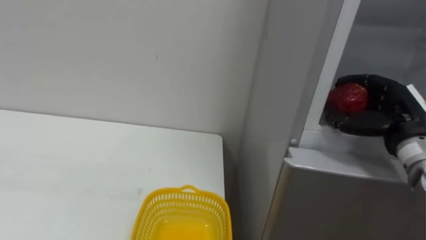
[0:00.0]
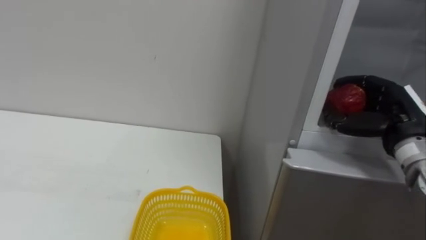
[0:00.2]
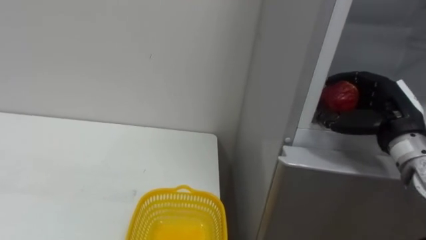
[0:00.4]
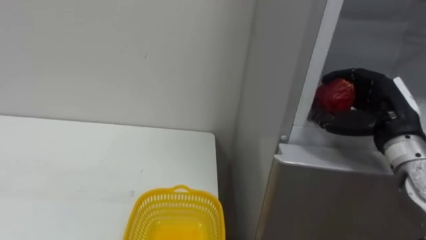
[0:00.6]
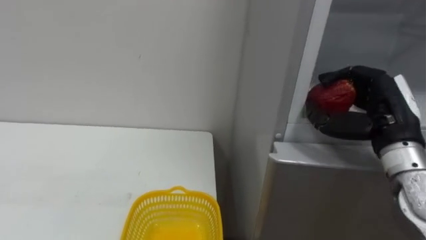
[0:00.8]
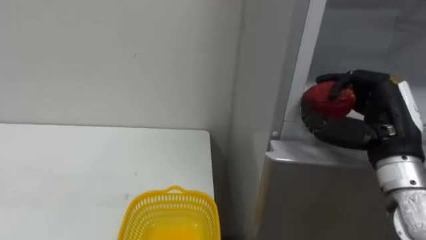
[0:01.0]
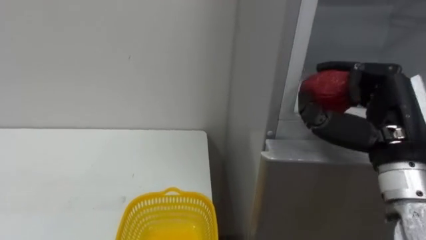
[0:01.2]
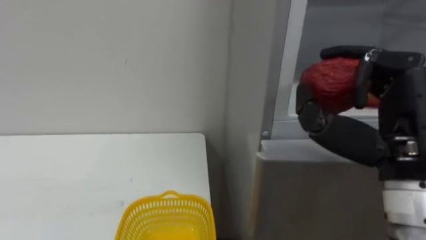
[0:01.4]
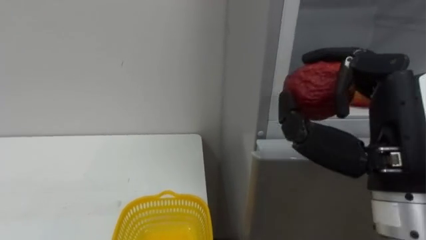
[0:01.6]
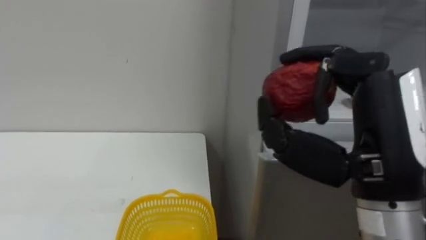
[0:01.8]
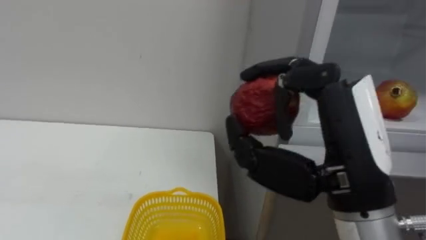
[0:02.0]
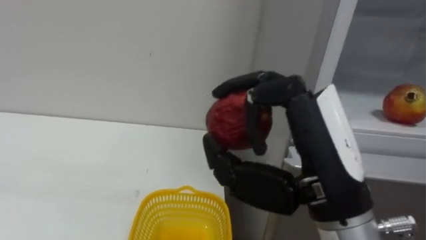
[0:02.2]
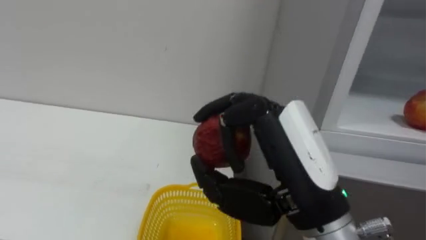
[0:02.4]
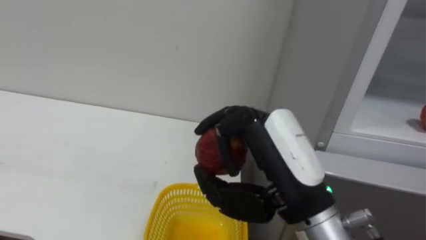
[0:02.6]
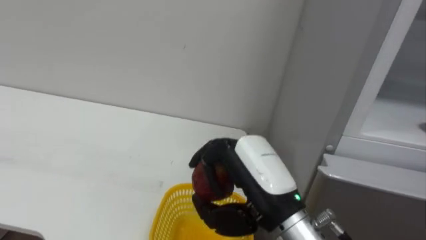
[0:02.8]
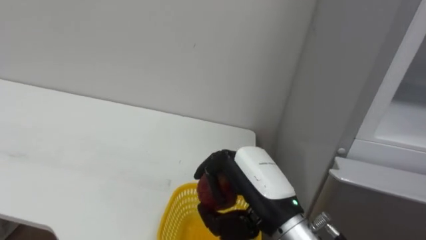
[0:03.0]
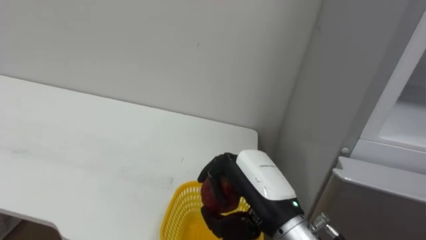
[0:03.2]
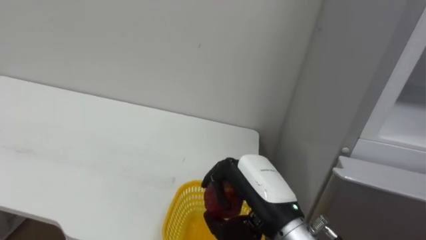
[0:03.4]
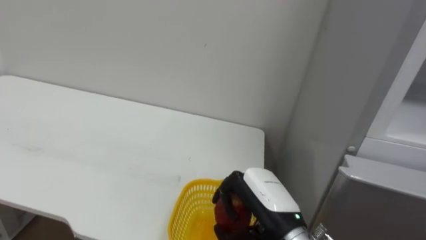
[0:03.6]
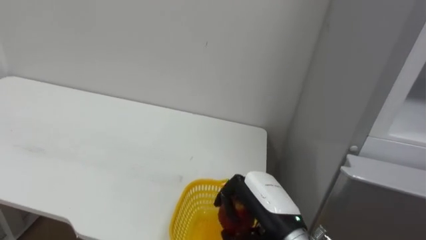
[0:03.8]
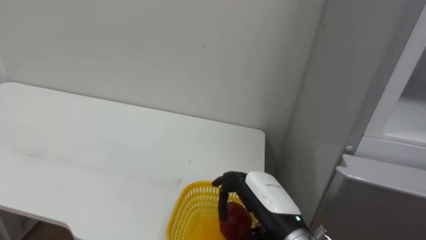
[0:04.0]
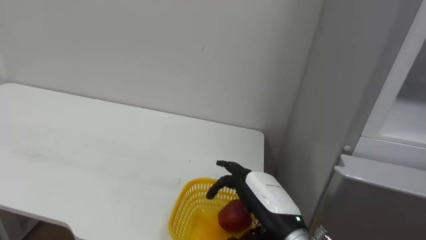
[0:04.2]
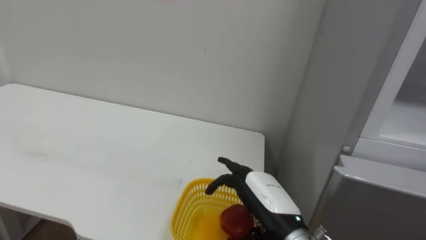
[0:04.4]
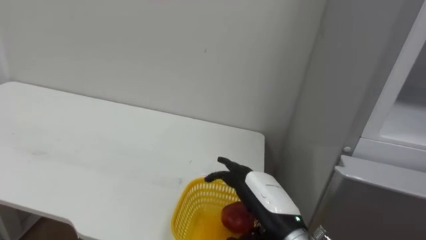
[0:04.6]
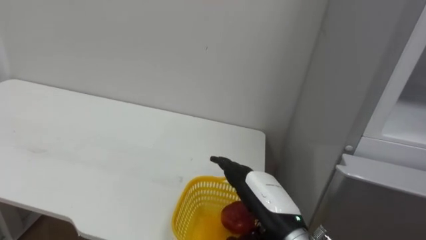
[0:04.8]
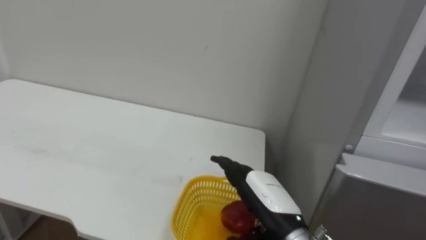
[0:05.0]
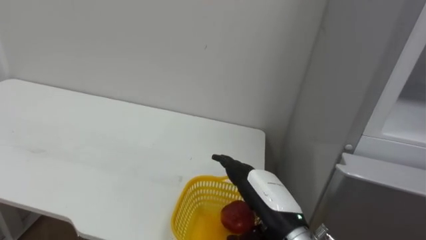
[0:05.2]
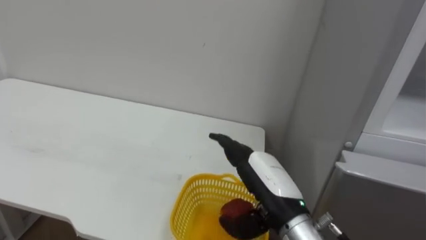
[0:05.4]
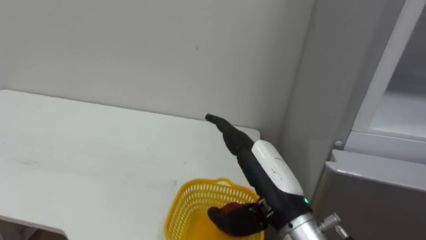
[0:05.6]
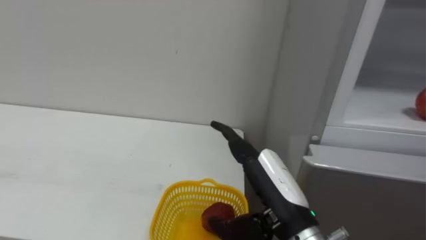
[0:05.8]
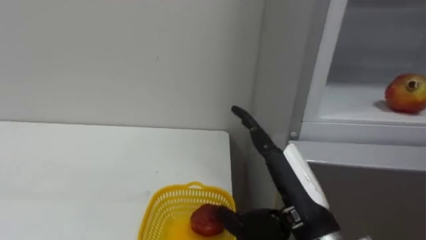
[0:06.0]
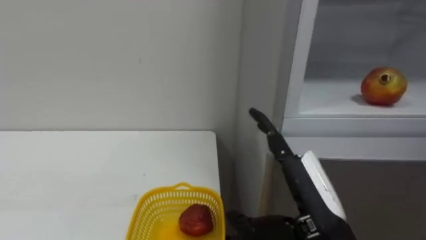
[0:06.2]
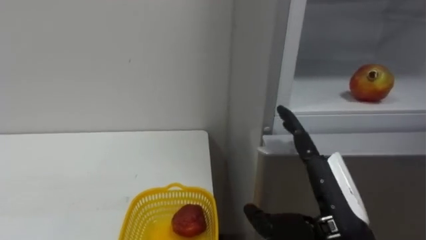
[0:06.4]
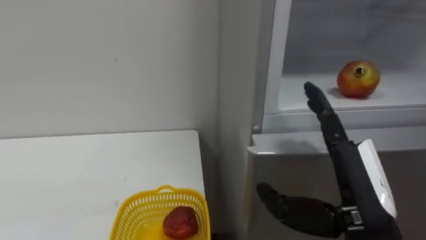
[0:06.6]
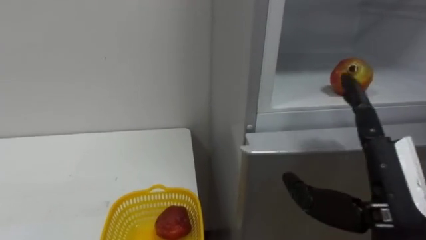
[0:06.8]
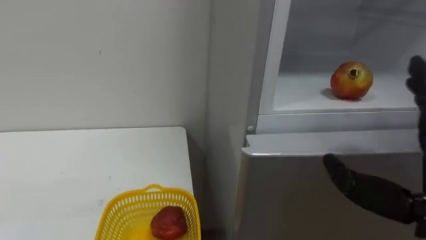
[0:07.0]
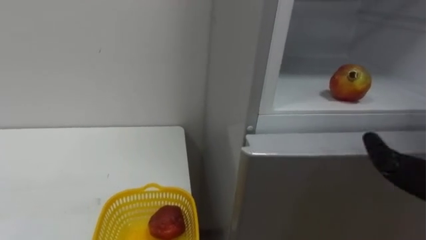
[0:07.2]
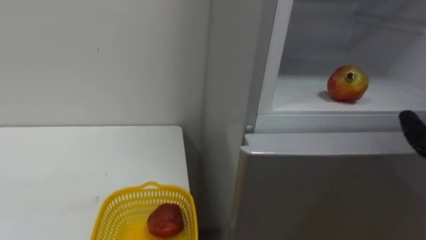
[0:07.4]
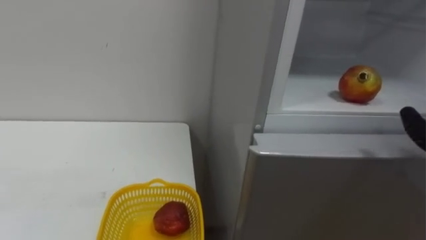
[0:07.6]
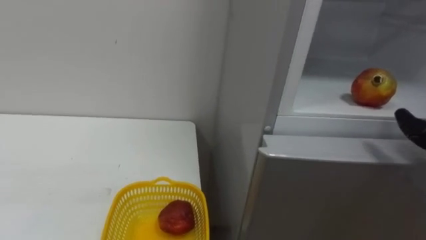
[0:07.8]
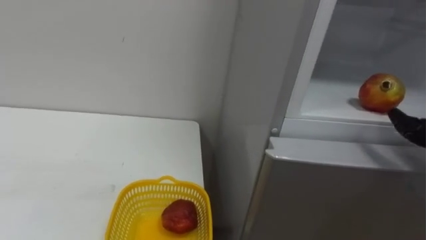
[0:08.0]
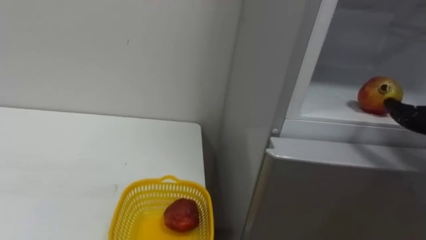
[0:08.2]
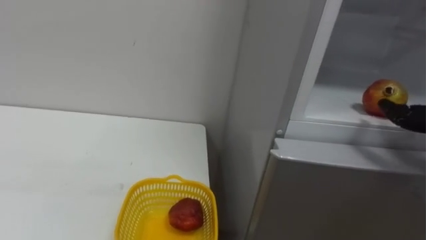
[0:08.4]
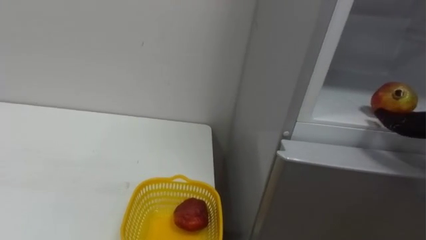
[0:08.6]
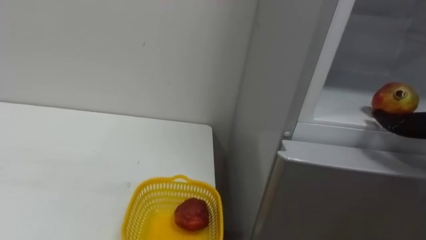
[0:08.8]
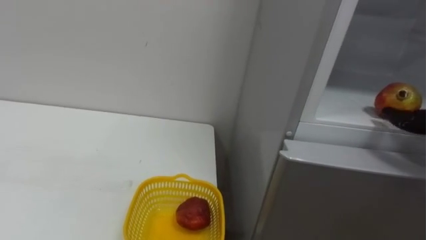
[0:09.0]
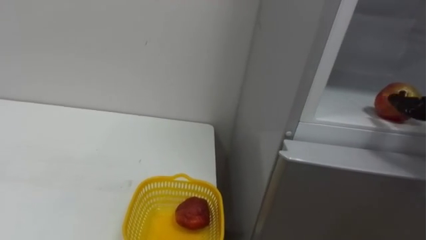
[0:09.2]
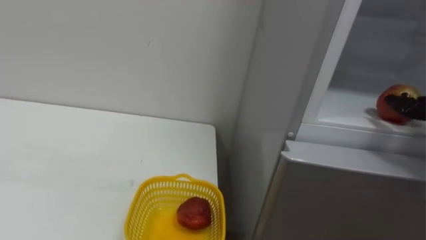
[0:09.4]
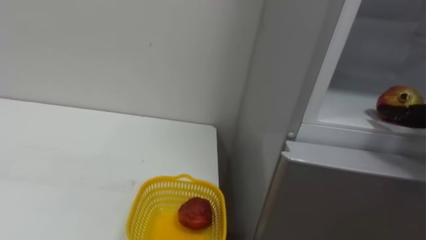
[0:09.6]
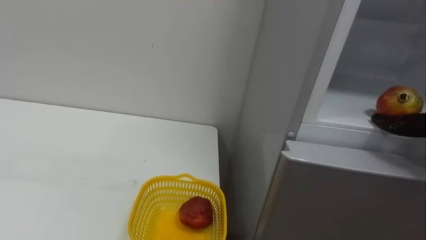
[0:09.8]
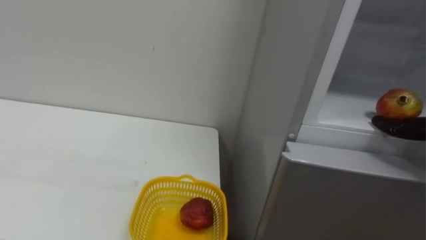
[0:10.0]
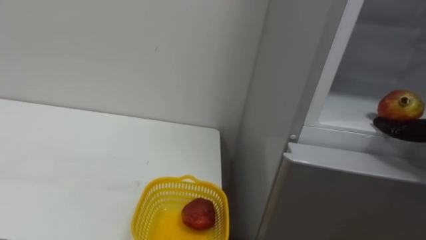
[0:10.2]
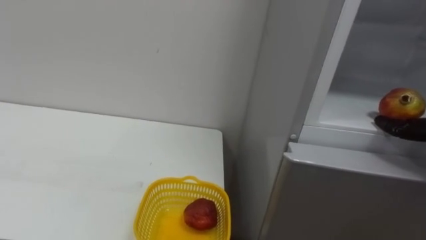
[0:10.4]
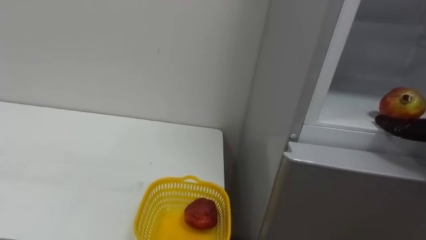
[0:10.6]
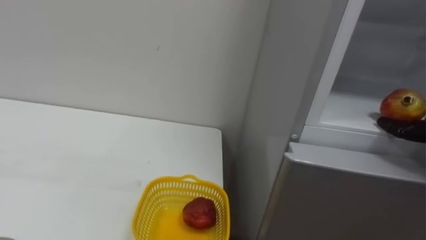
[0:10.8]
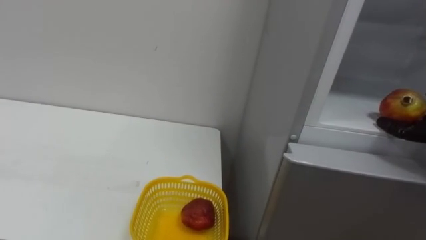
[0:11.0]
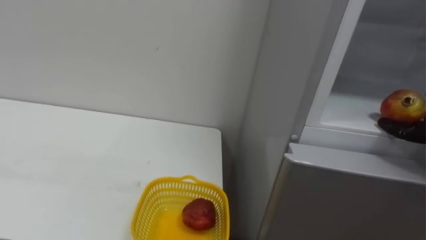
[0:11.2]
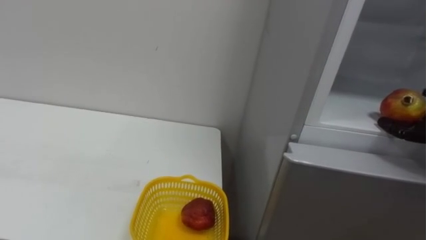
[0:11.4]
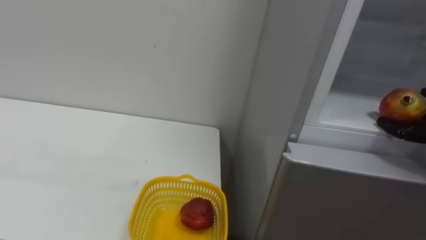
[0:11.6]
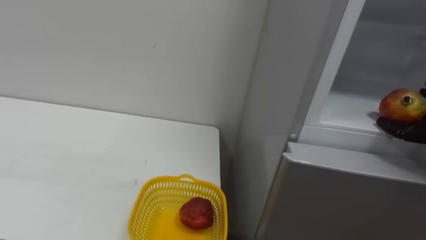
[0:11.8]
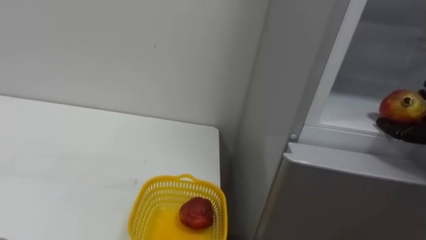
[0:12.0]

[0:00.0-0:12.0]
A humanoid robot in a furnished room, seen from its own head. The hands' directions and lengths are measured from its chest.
Task of the whole recording: Open the refrigerator door, take out the apple and the pomegranate, place them in the fruit basket on the left, and close the refrigerator door.
0:00.0 to 0:01.6: The right hand goes approximately 20 cm backward, to the left and upward.
0:01.6 to 0:03.0: The right hand heads to the left and downward, covering some 15 cm.
0:03.0 to 0:04.4: The right hand moves downward, approximately 5 cm, and opens up.
0:04.4 to 0:06.0: The right hand heads upward, covering roughly 10 cm.

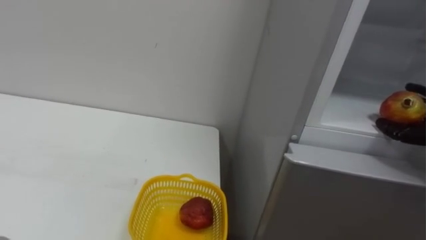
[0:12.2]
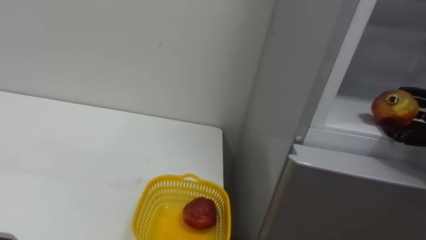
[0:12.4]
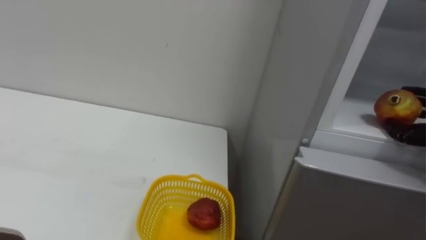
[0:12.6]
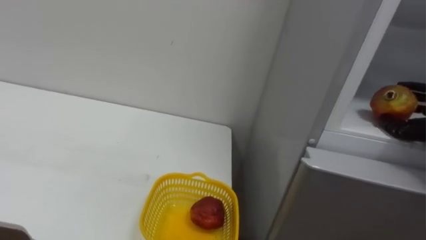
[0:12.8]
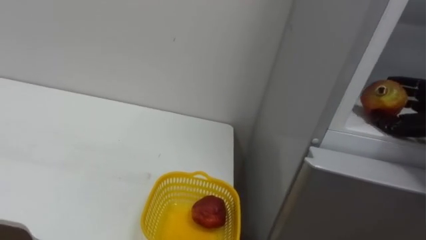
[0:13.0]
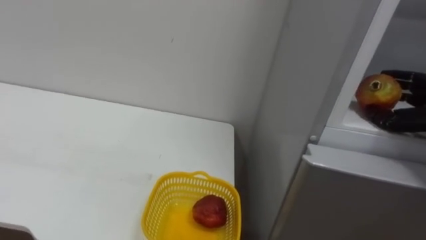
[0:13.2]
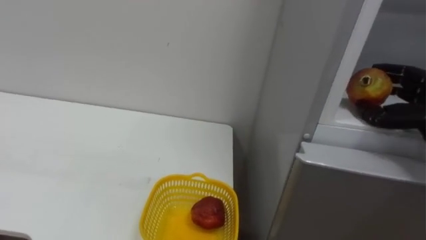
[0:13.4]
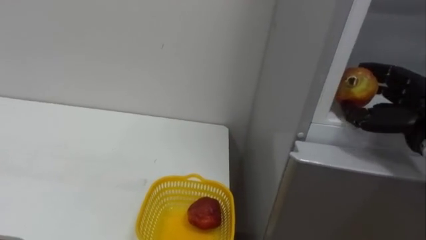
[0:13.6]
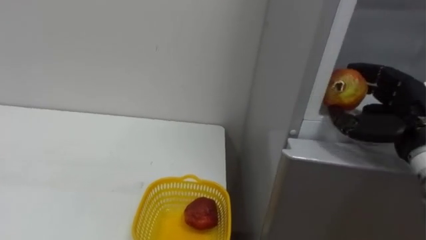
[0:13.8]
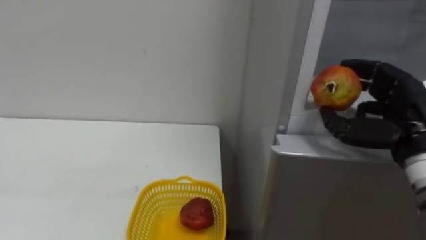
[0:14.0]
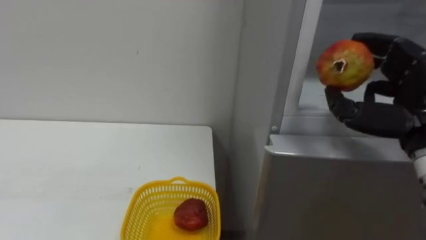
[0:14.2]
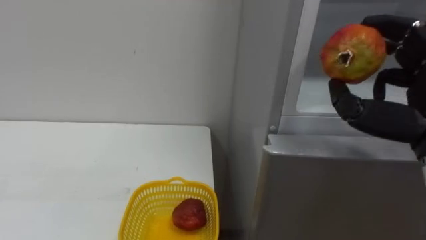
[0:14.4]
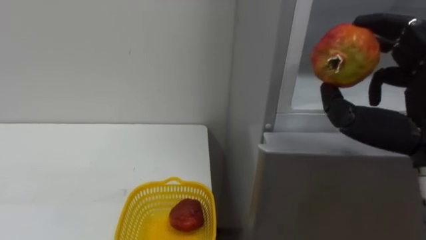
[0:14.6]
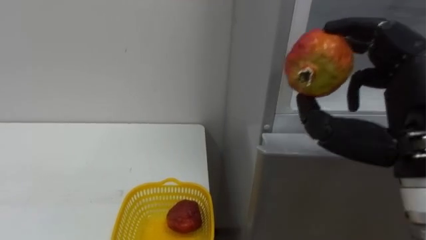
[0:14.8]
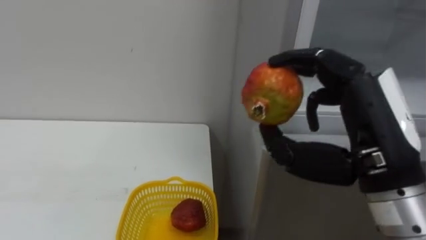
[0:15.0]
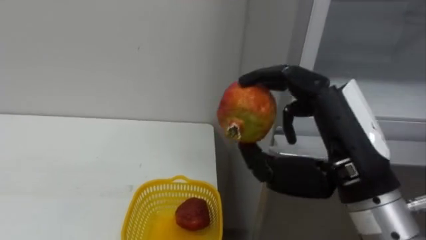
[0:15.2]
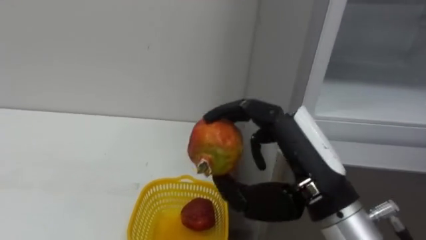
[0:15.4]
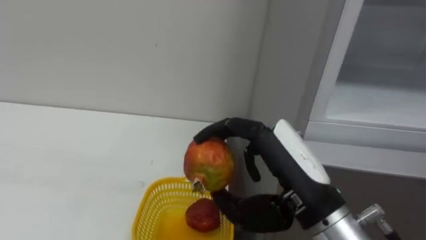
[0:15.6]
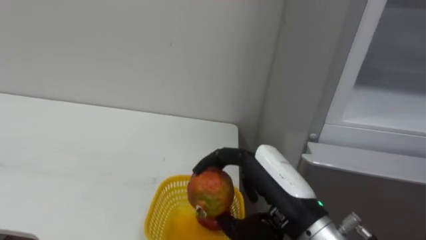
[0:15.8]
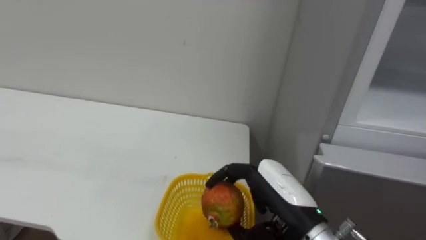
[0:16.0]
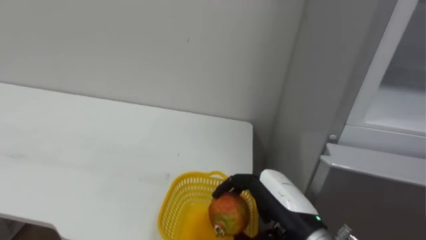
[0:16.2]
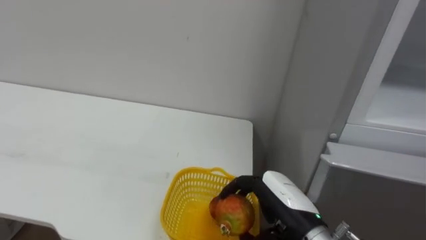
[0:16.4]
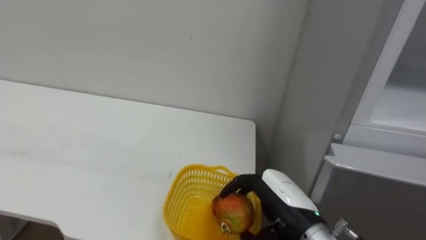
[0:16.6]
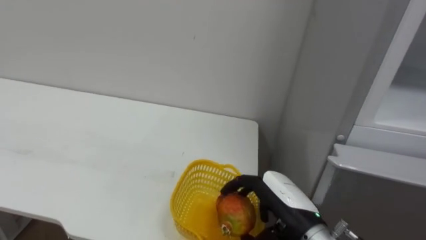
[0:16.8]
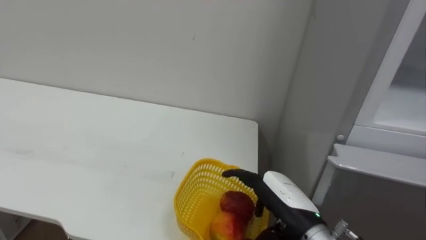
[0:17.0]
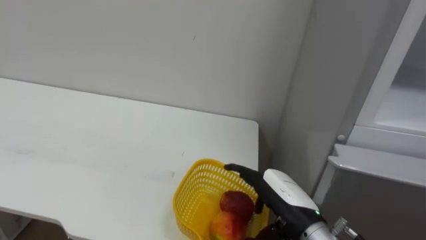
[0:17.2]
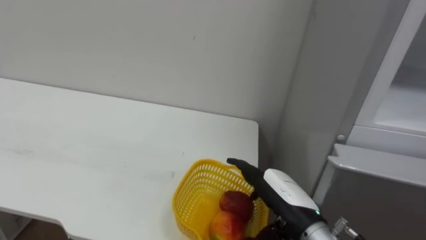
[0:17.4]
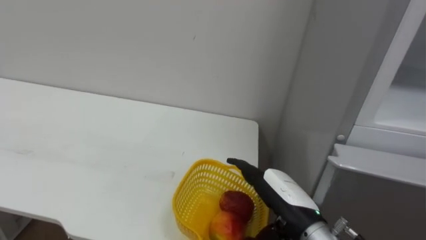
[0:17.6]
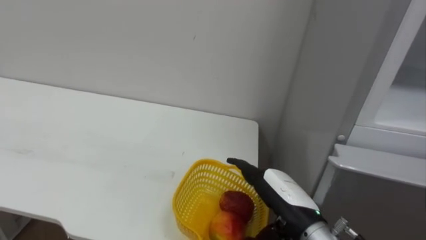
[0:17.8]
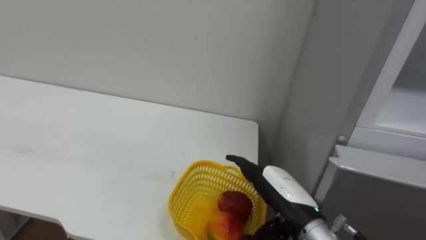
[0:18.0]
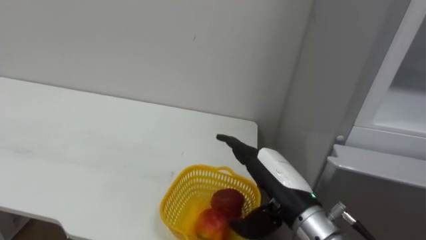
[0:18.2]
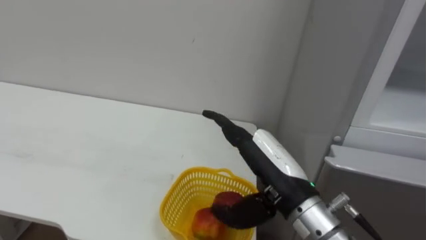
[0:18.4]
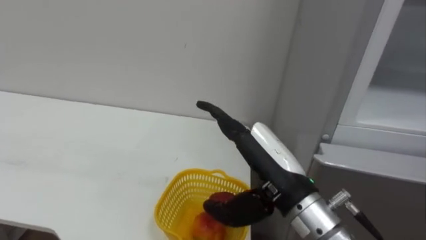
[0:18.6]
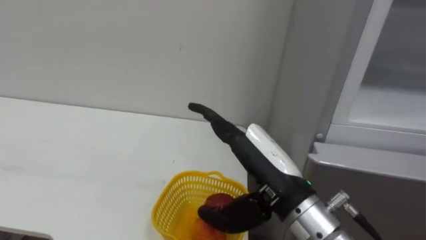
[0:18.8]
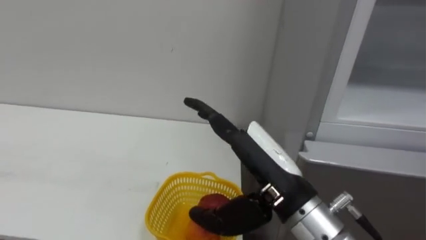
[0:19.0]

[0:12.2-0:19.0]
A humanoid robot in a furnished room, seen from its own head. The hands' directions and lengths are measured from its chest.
Task of the whole recording: Open the refrigerator door, take out the apple and the pomegranate, place them in the fruit basket on the left, and close the refrigerator door.
0:15.0 to 0:16.2: The right hand travels downward and to the left by about 15 cm.
0:16.2 to 0:17.6: The right hand opens up.
0:17.6 to 0:19.0: The right hand shifts some 10 cm upward.
